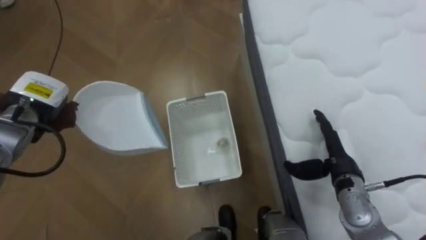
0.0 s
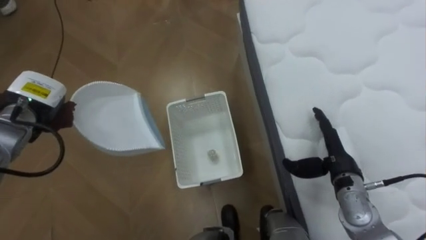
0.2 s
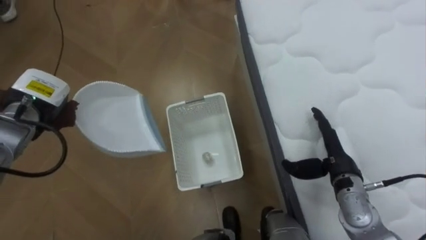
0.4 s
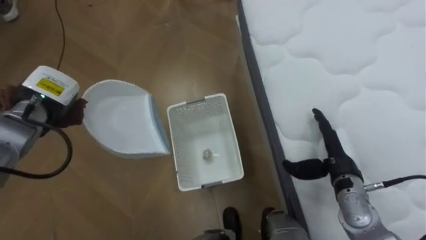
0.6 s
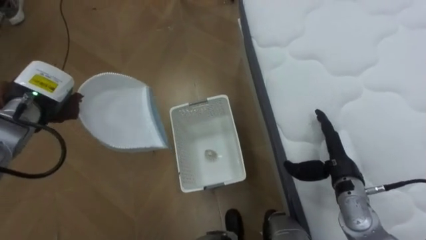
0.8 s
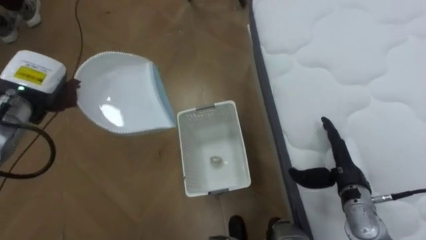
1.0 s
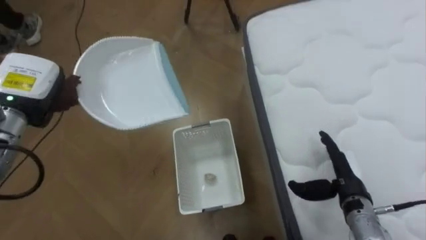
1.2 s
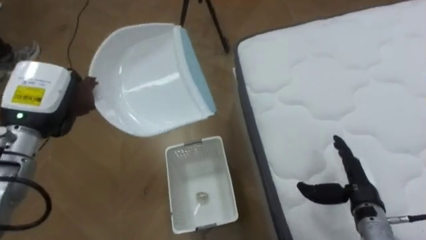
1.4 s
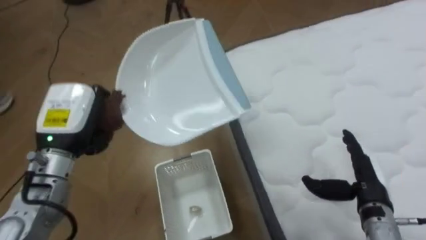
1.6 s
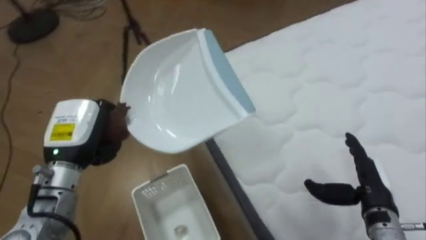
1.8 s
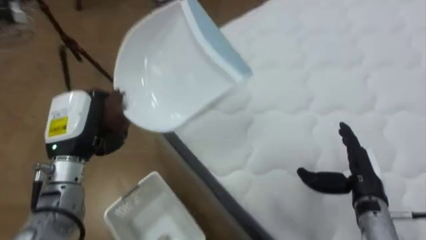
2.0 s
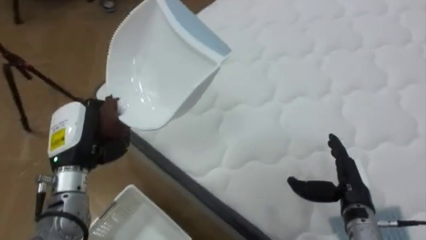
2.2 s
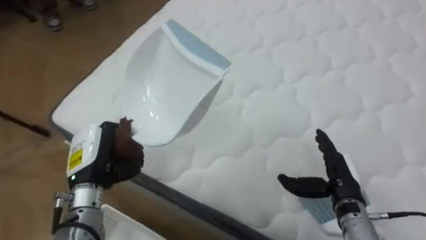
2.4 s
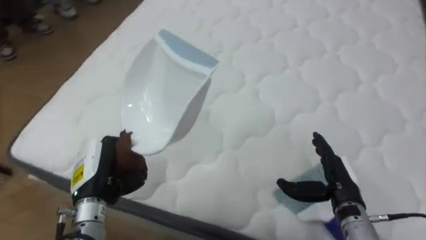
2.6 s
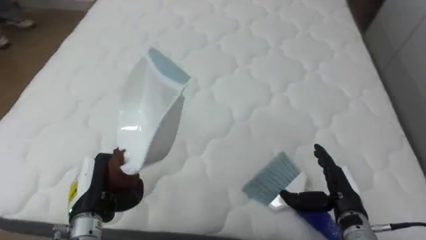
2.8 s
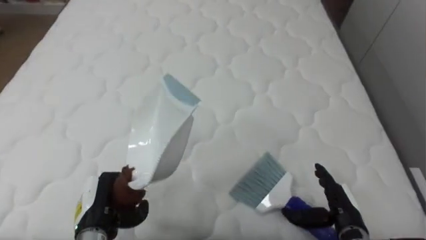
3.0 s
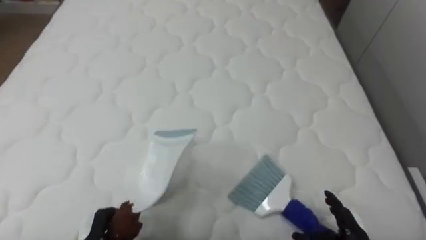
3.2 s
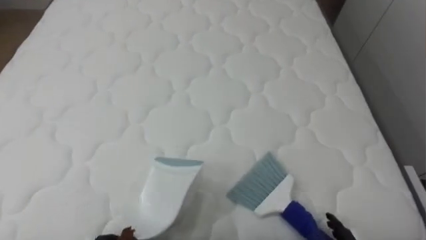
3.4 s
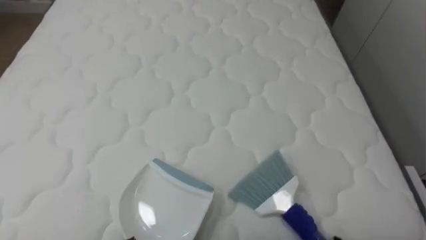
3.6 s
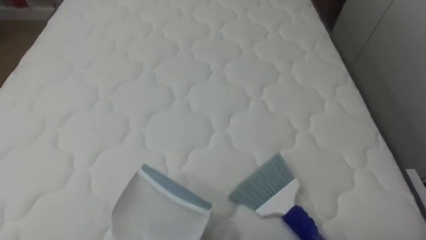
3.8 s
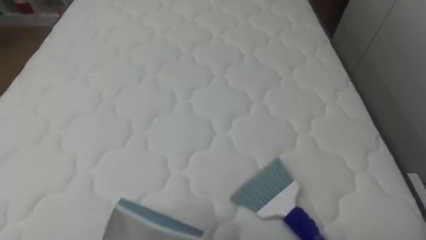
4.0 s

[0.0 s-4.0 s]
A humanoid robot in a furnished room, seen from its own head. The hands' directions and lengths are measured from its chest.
Task of the whole recording: Pick up the brush on your right and the dustpan on your left. Use the brush to sweep the crumpled paper on the bed into the dustpan, then turn left and empty it into the basket.
0.0 to 1.4 s: The right hand moves some 5 cm. The left hand goes roughly 5 cm upward.
1.4 to 2.6 s: The robot's body swings roughly 65 degrees to its right. The left hand moves downward, backward and to the right, approximately 15 cm.
2.6 to 4.0 s: The robot turns to its right by roughly 20 degrees.

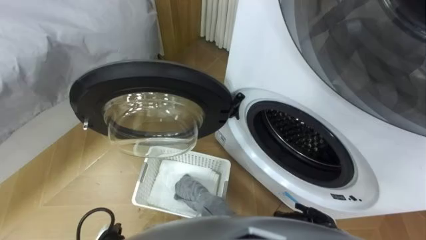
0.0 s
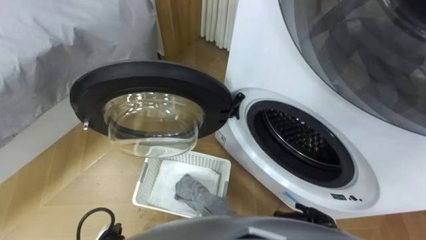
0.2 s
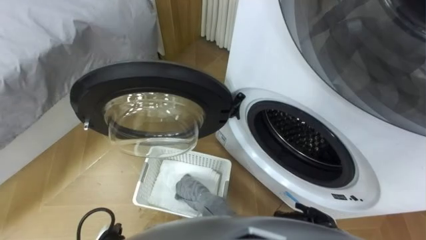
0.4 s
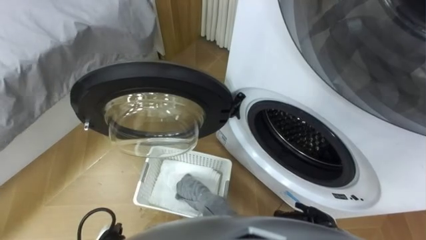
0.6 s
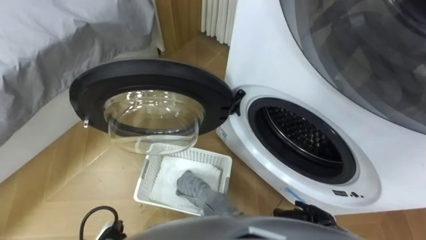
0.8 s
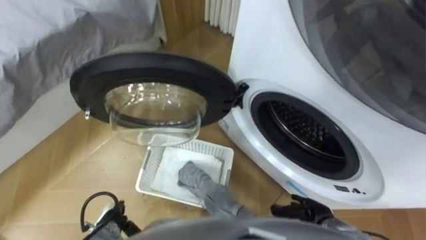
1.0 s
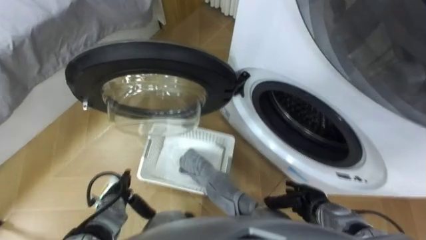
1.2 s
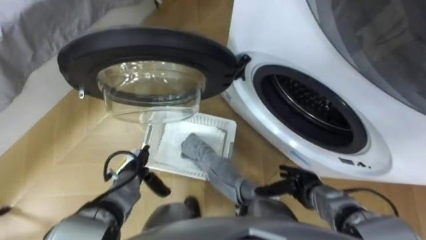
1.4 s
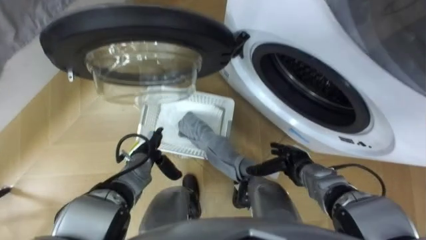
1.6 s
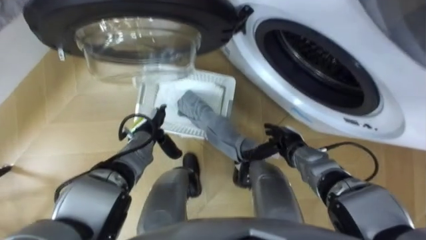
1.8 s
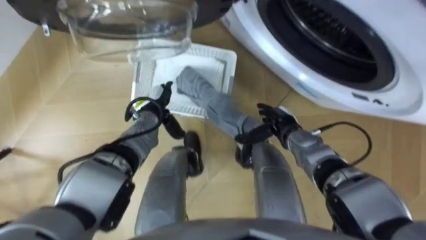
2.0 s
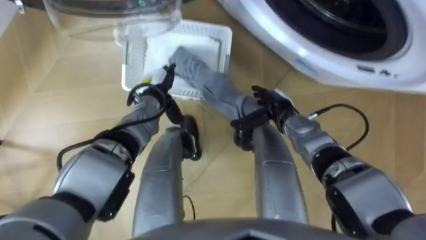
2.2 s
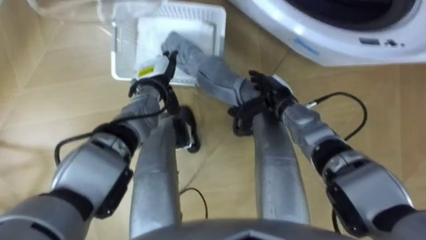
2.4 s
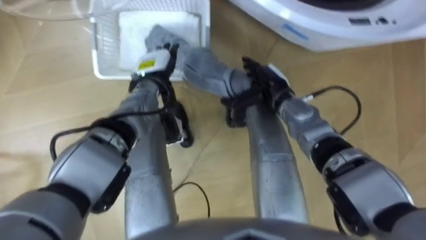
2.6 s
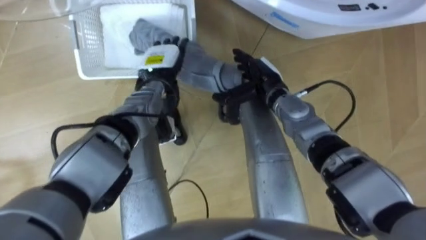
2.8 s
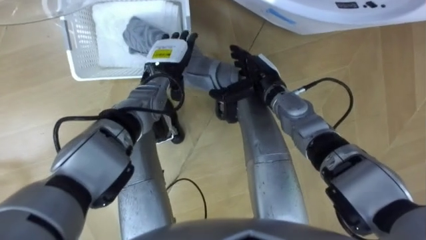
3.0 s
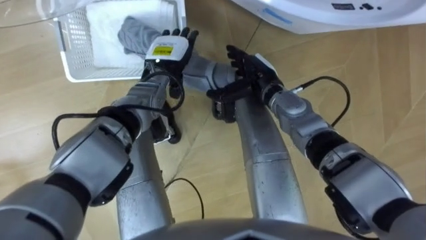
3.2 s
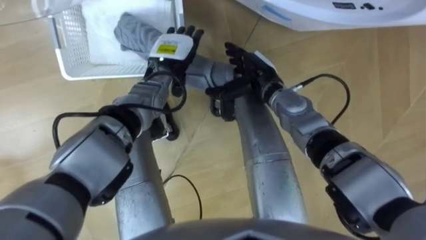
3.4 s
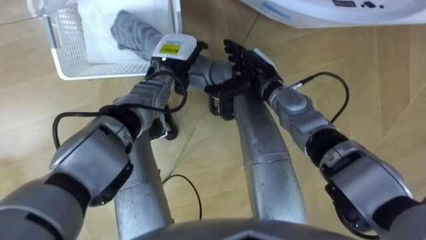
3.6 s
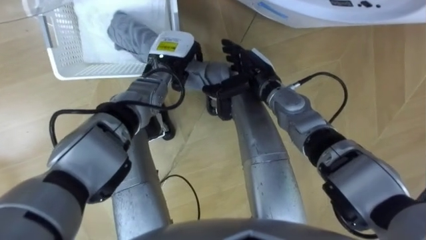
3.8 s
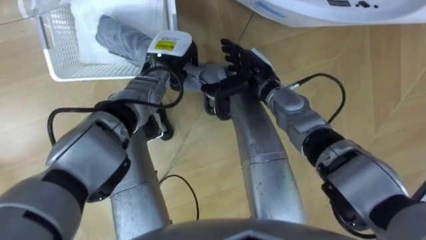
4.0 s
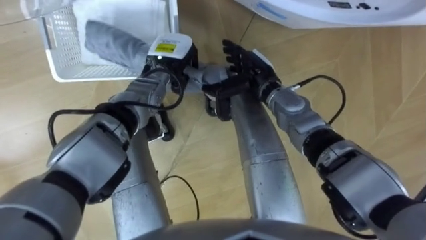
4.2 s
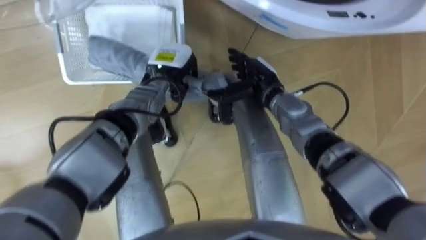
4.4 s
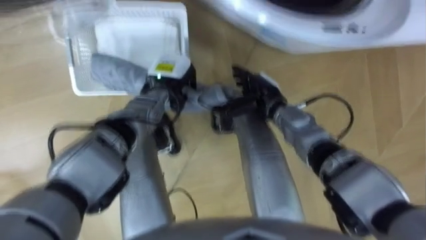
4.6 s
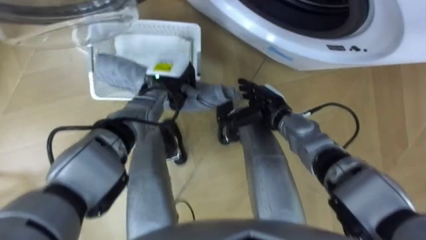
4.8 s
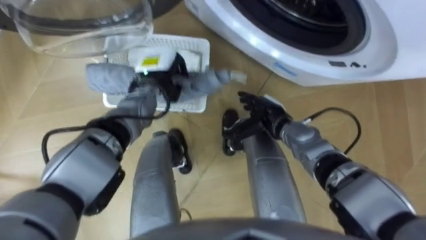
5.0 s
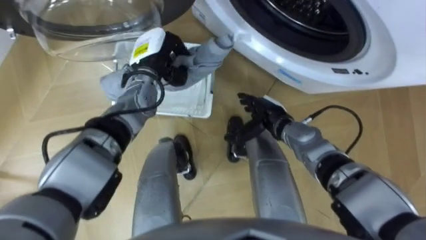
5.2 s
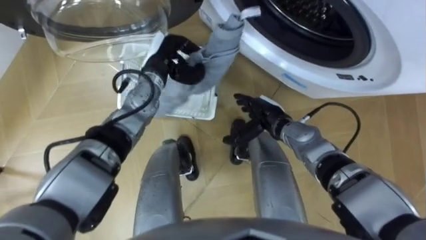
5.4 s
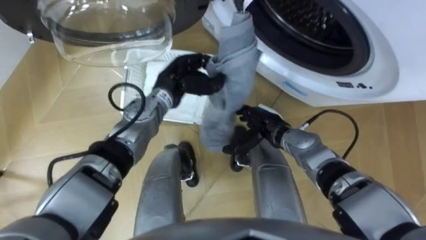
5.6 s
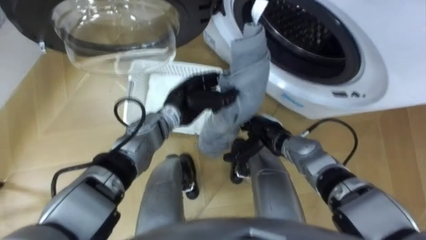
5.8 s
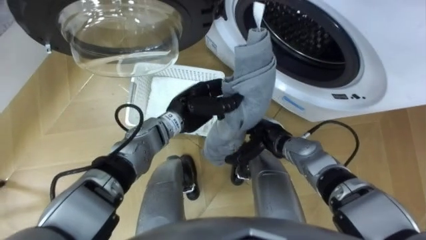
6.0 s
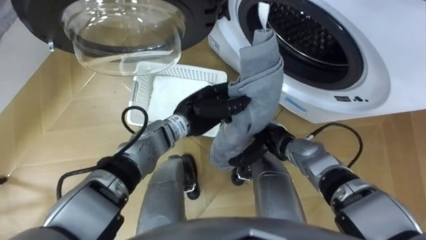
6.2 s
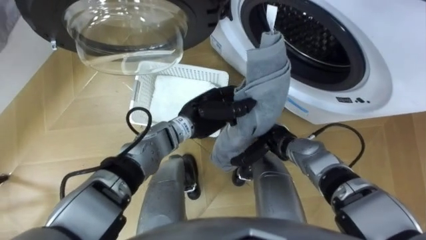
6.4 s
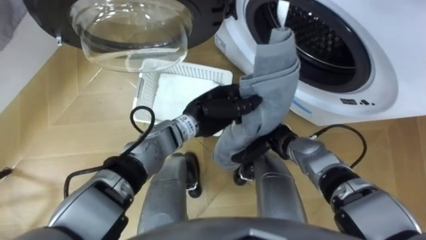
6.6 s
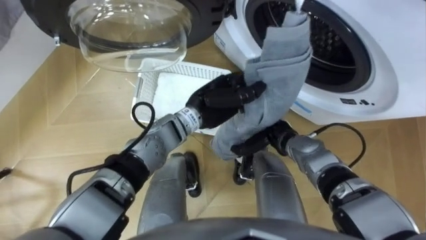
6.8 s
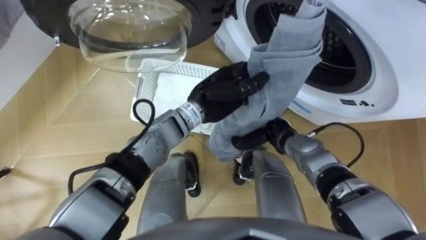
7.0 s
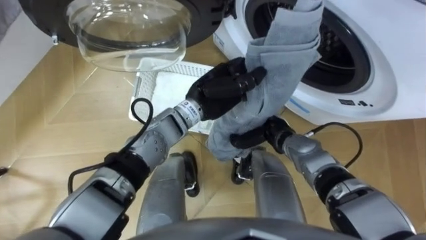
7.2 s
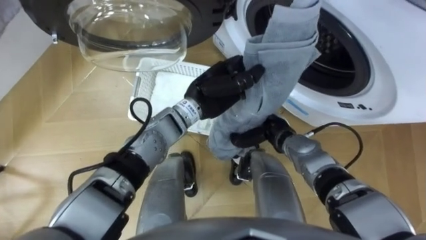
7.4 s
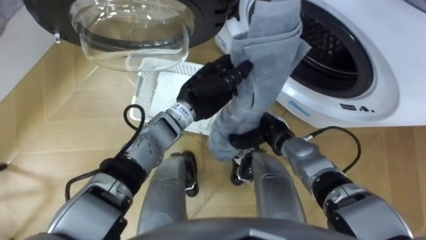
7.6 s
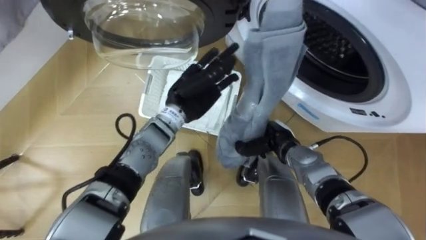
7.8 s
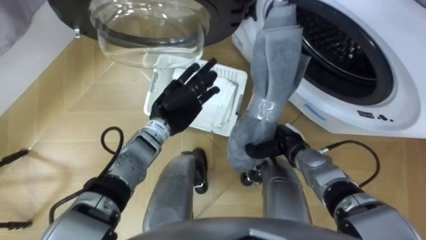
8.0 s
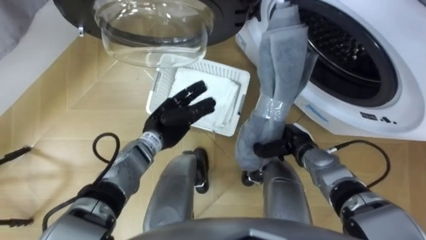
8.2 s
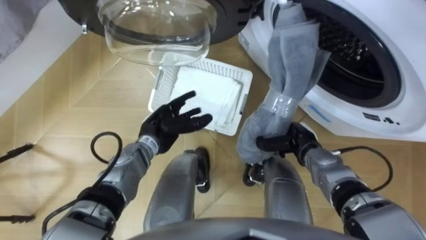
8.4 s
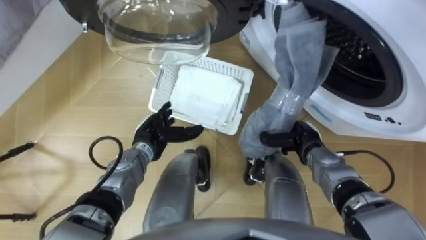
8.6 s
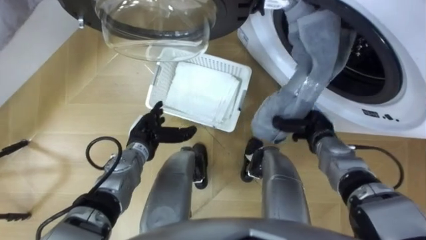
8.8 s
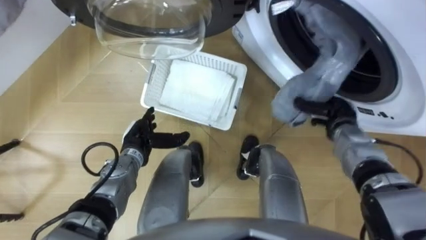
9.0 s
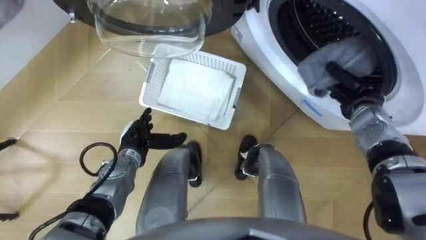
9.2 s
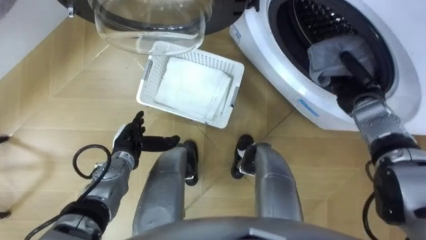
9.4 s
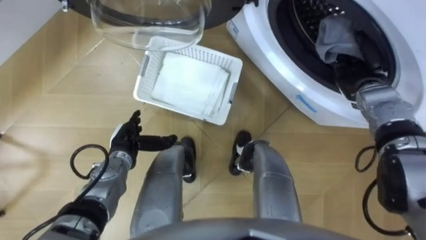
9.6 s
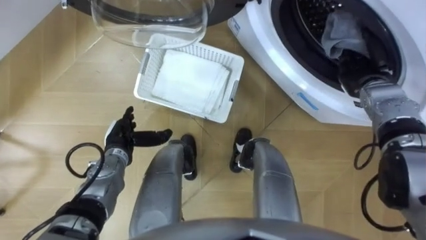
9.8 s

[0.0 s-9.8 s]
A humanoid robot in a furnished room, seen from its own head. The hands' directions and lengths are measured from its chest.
Task of the whole recording: Take the towel from the basket and put it into the washing machine.
1.4 to 2.8 s: The left hand travels forward, upward and to the right by roughly 25 cm; the right hand goes roughly 25 cm forward, upward and to the left.
2.8 to 4.2 s: The left hand closes.
4.2 to 5.6 s: The right hand shifts roughly 10 cm downward and backward.
5.6 to 7.0 s: The left hand moves to the right, roughly 10 cm. Meanwhile the right hand closes its fingers.
7.0 to 8.4 s: The right hand heads to the right, covering some 5 cm. Meanwhile the left hand shifts approximately 15 cm to the left and downward, and opens up.
8.4 to 9.8 s: The right hand is displaced to the right, upward and forward by roughly 20 cm; the left hand heads to the left, covering approximately 10 cm.

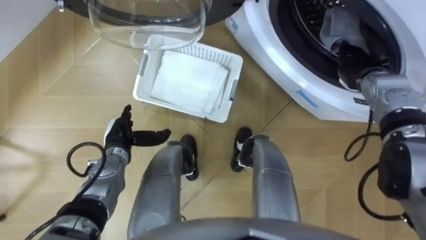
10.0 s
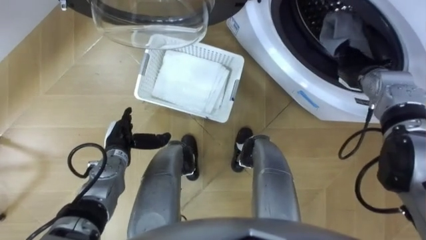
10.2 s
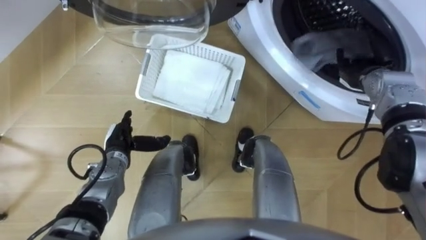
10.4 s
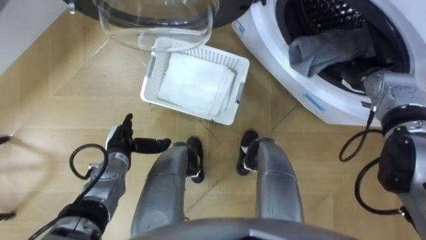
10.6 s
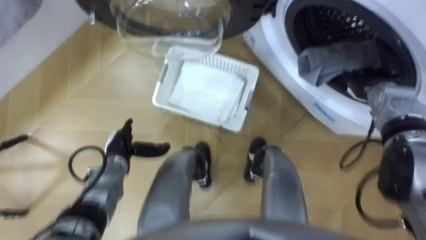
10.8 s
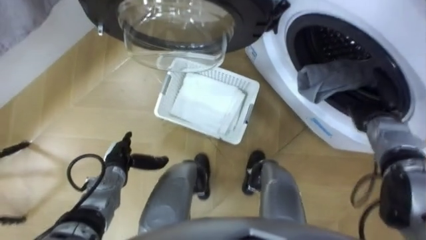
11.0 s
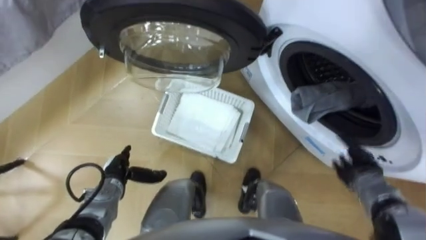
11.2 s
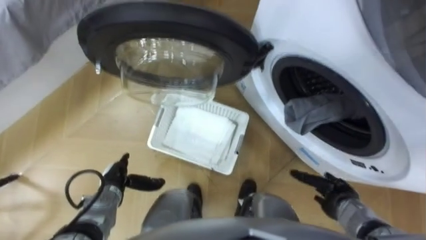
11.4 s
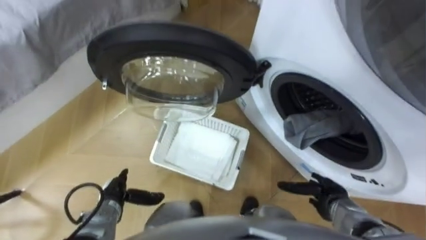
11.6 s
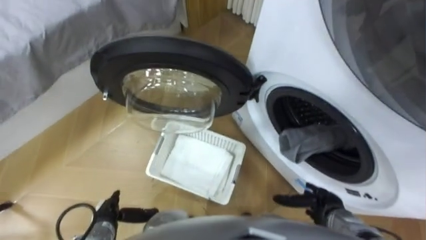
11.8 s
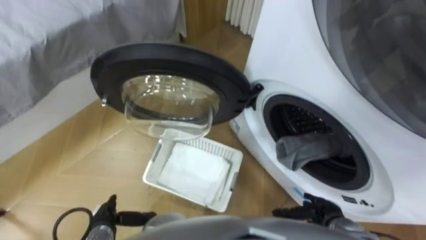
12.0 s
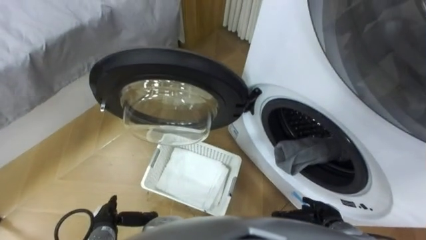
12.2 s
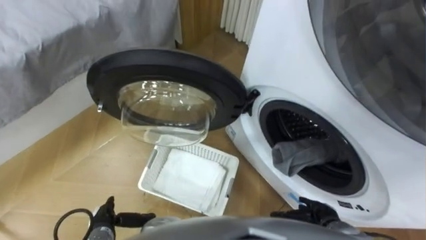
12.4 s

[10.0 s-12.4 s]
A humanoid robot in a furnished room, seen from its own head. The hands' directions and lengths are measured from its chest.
Task of the whole recording: Take the towel from the basket and put it into the washing machine.
10.0 to 11.2 s: The right hand goes about 20 cm backward and downward, and opens its fingers. The left hand is displaced backward by some 5 cm.
11.2 to 12.4 s: The right hand heads backward, to the left and downward, covering approximately 15 cm, while the left hand heads backward, covering about 10 cm.
